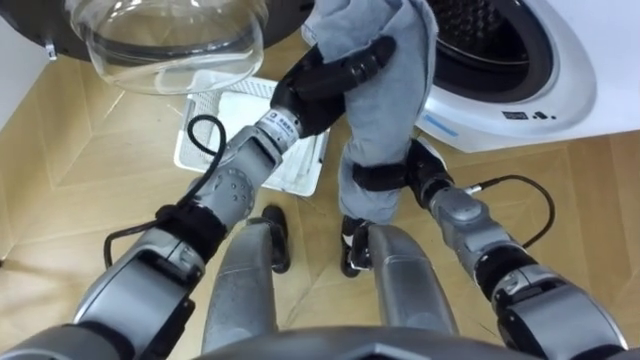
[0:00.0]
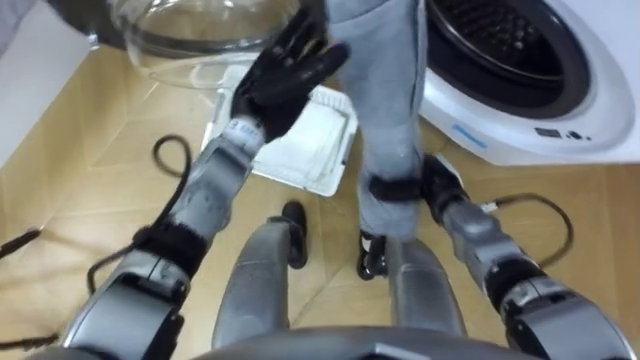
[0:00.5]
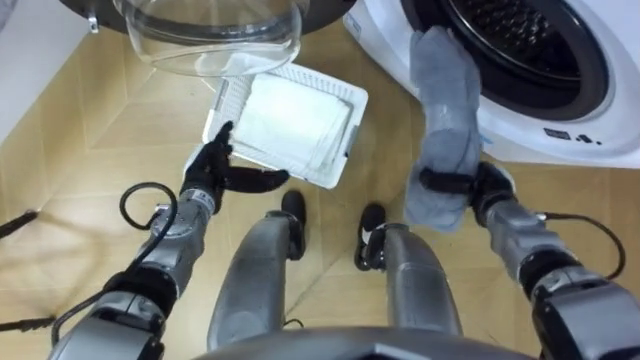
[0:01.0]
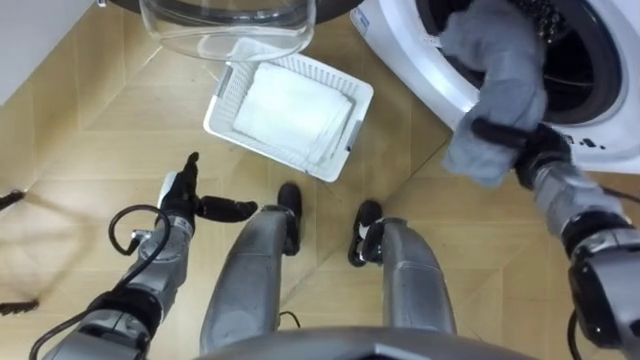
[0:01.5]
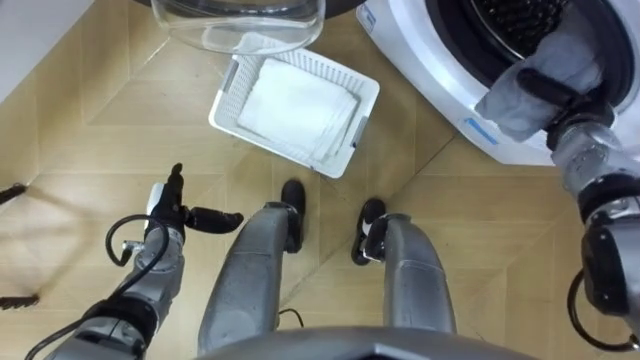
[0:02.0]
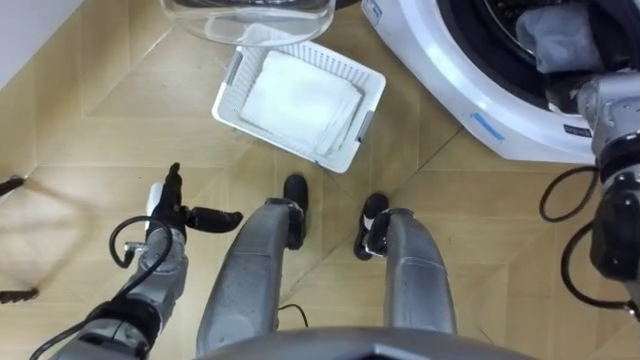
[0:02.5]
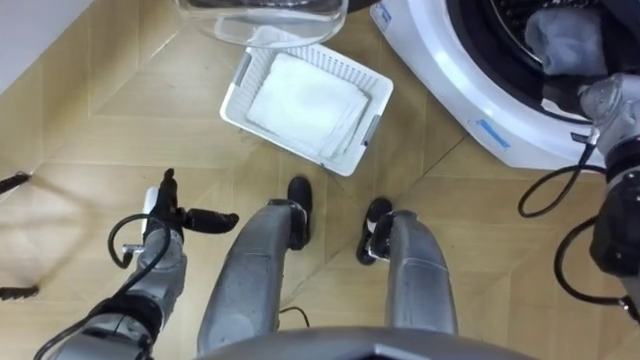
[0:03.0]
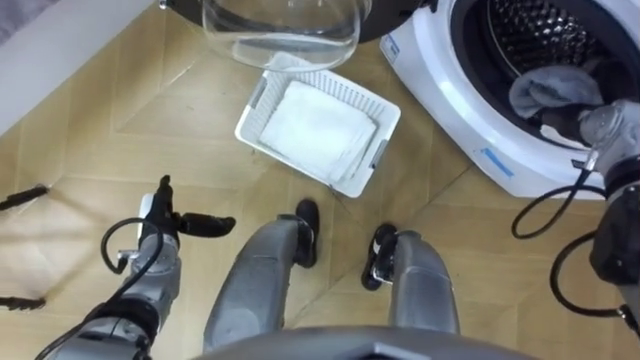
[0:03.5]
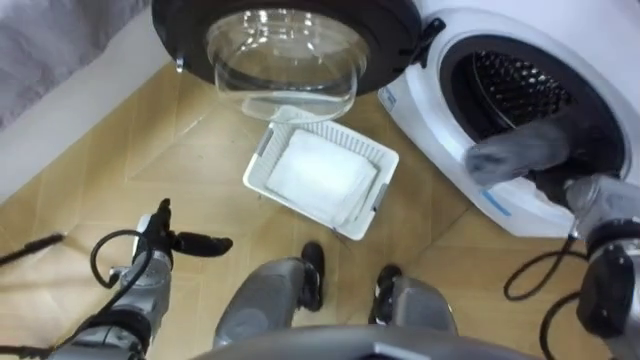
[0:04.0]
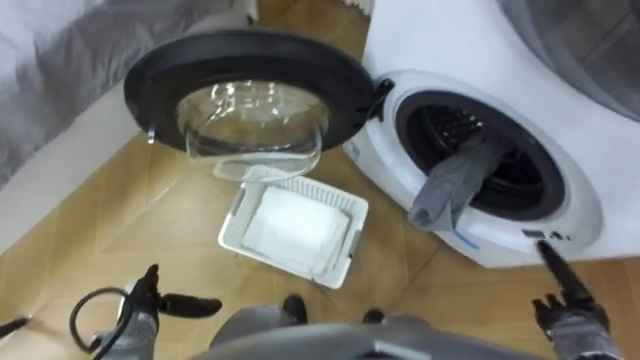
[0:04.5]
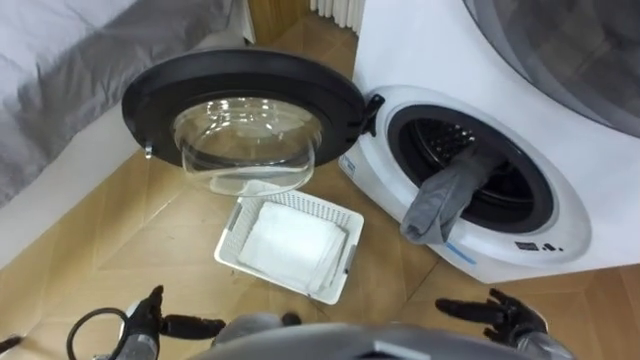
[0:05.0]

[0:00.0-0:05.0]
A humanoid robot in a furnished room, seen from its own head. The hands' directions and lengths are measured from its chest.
Task of the whole recording: Take the towel from the basket and put it into the washing machine.
0:00.0 to 0:02.5: The left hand heads to the left, downward and backward, covering some 30 cm, and opens its fingers, while the right hand heads to the right, upward and forward, covering about 25 cm.
0:02.5 to 0:05.0: The left hand heads backward, covering some 15 cm; the right hand shifts approximately 35 cm backward and downward, and opens.

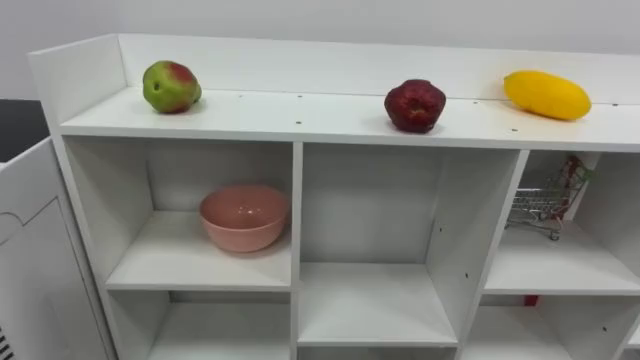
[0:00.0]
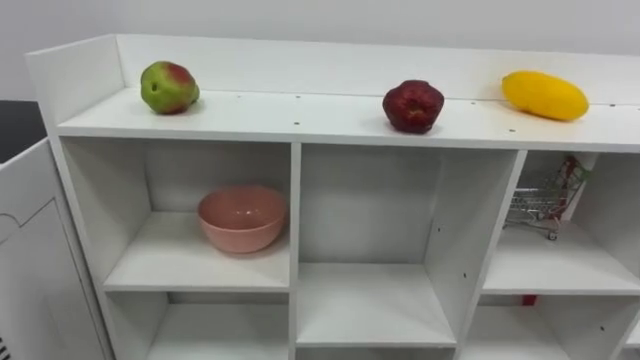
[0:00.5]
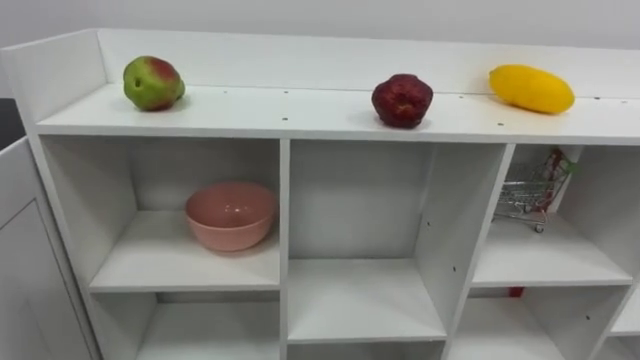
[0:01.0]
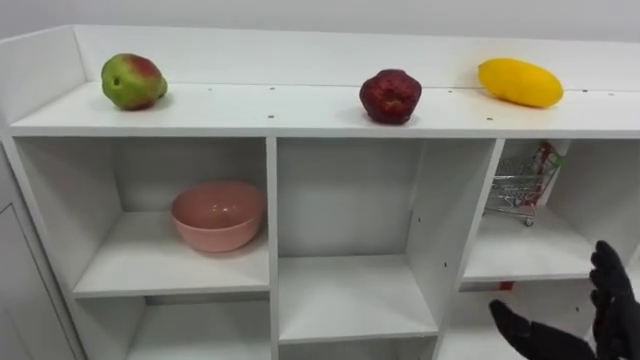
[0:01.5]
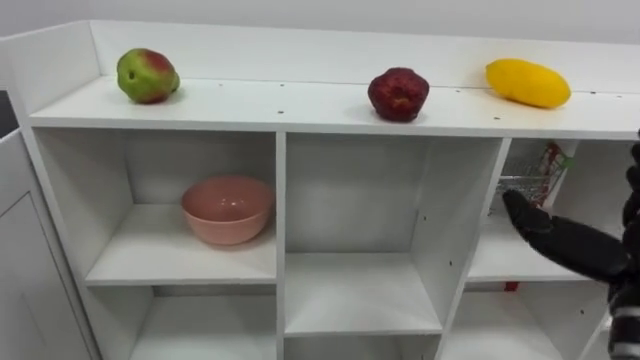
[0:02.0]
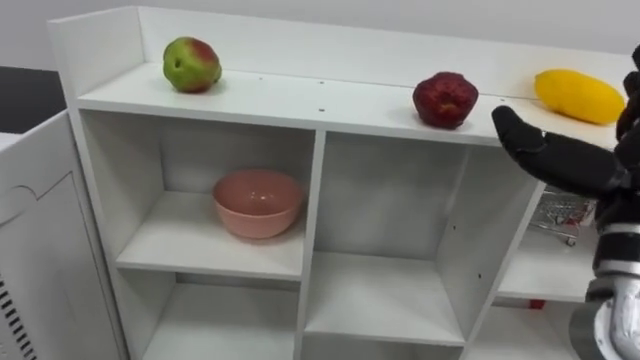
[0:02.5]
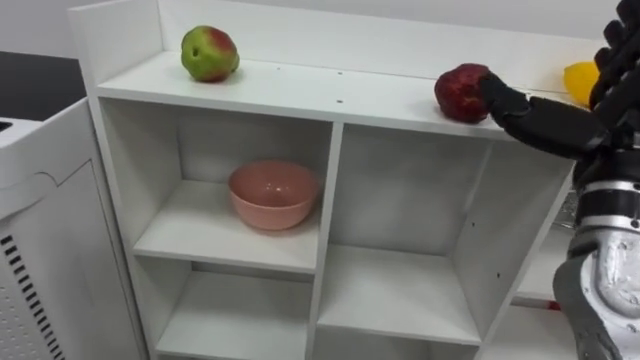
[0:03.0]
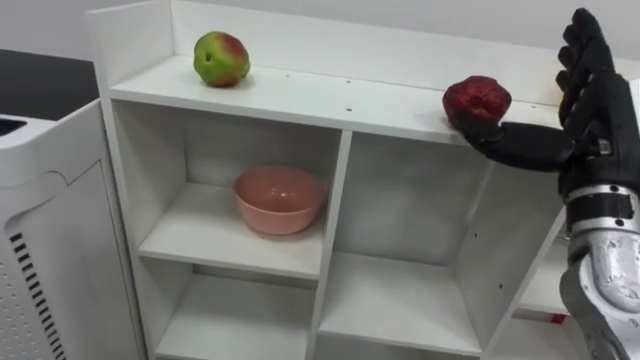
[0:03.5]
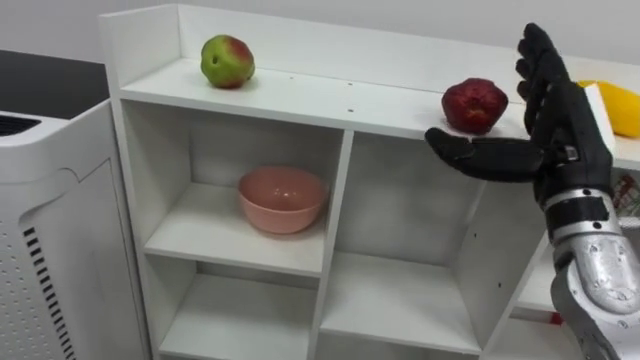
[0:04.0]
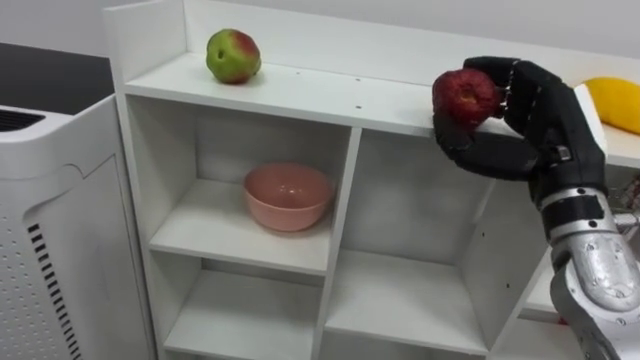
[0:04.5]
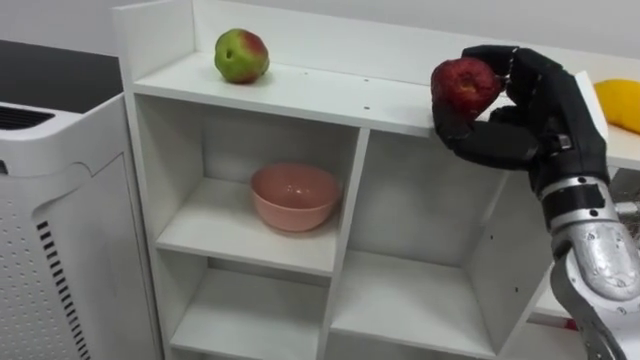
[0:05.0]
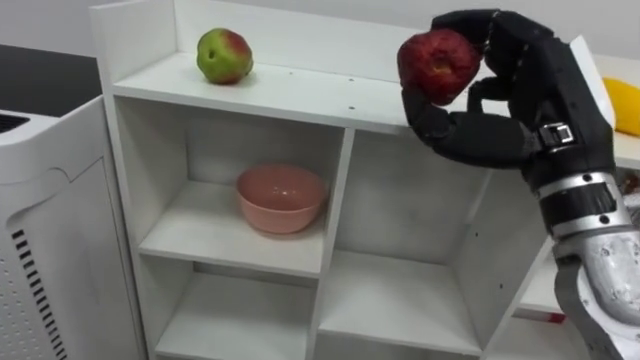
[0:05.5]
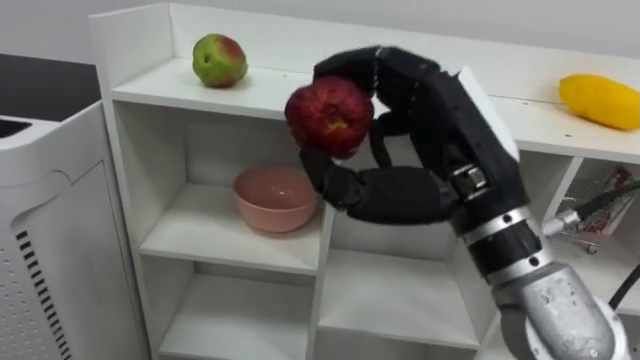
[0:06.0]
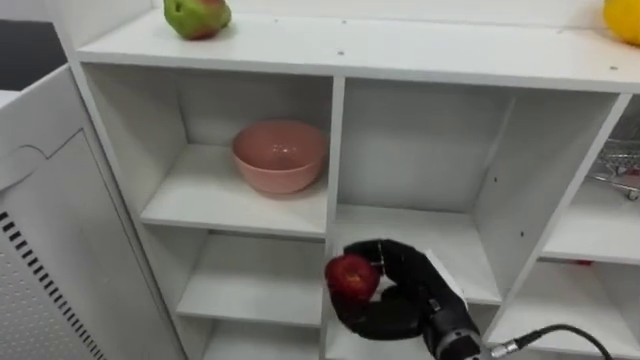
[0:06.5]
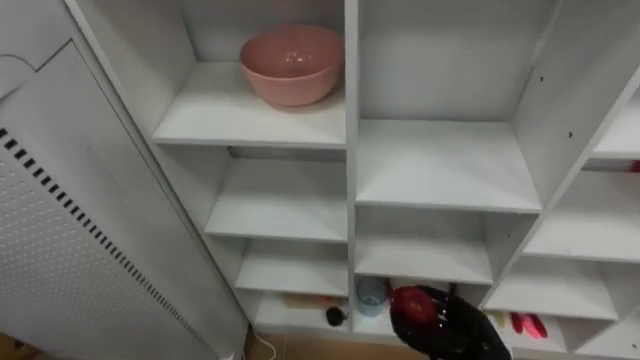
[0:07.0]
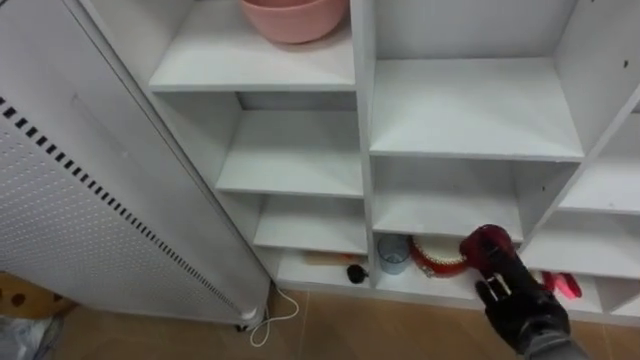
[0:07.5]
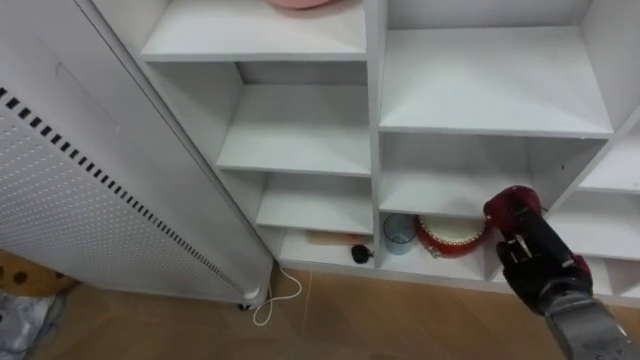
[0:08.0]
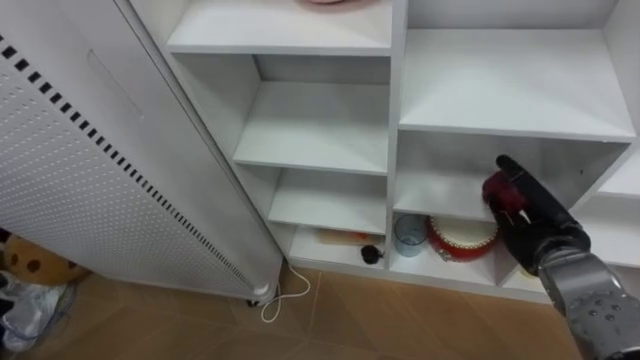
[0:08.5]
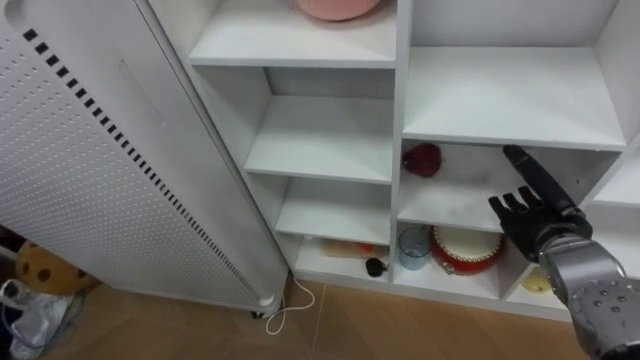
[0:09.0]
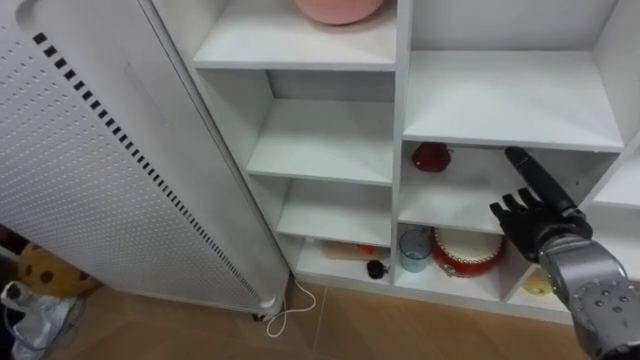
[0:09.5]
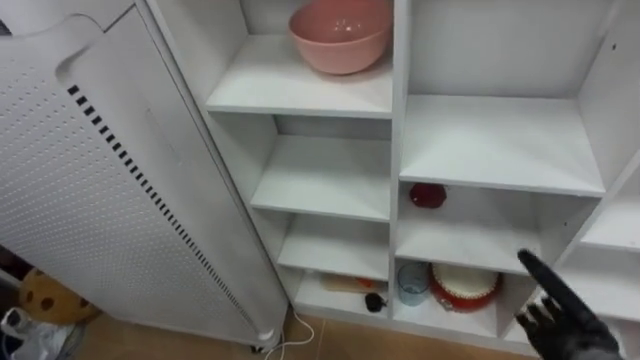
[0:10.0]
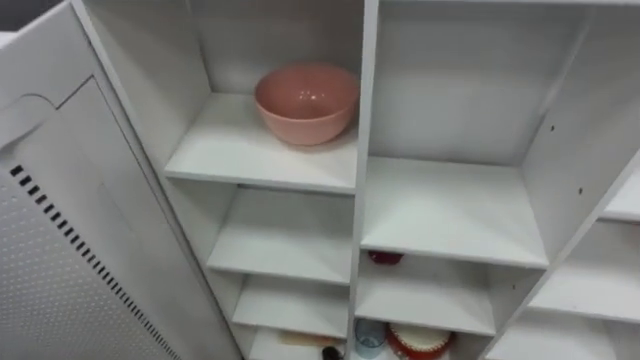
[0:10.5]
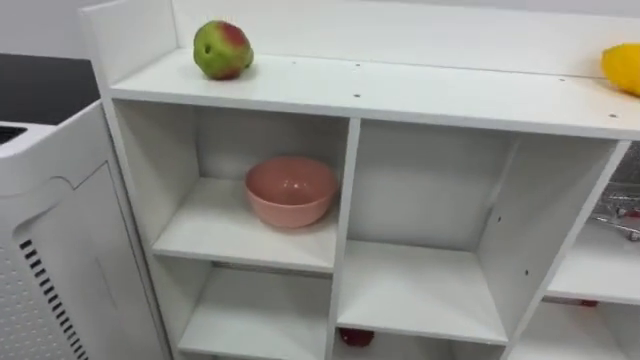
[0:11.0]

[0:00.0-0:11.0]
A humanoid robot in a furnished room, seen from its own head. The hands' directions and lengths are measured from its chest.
Task of the whole recording: Put the apple in the cell in the second column from the left and the second row from the top.
0:03.5 to 0:05.5: The right hand shifts approximately 5 cm to the left, and closes up.
0:07.5 to 0:09.0: The right hand shifts about 10 cm upward, and opens.

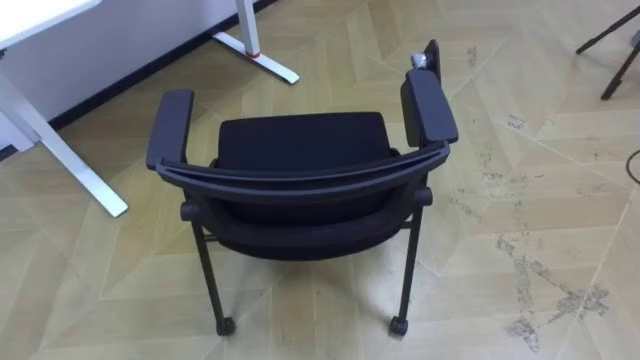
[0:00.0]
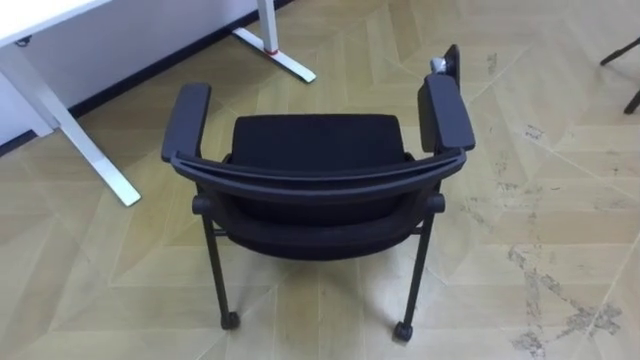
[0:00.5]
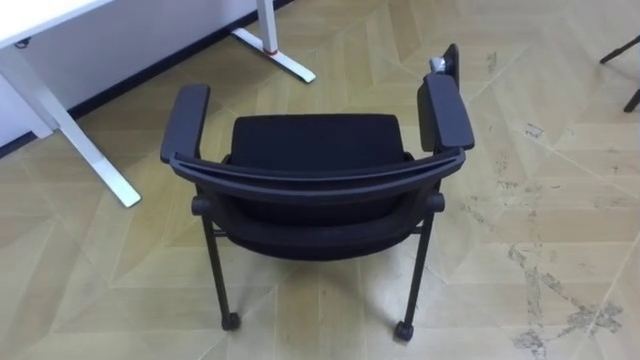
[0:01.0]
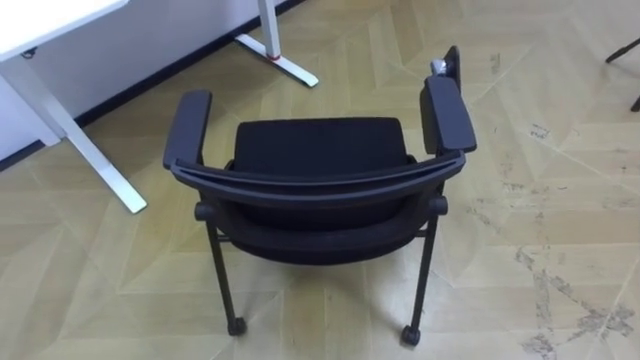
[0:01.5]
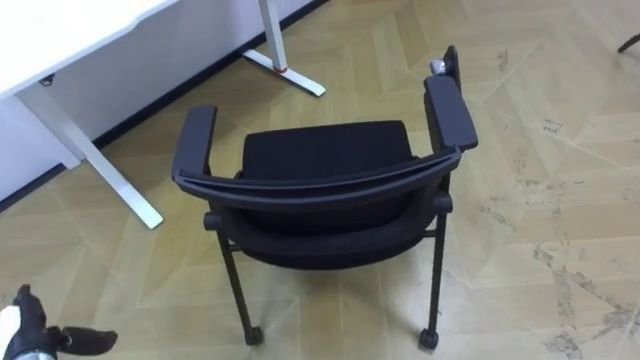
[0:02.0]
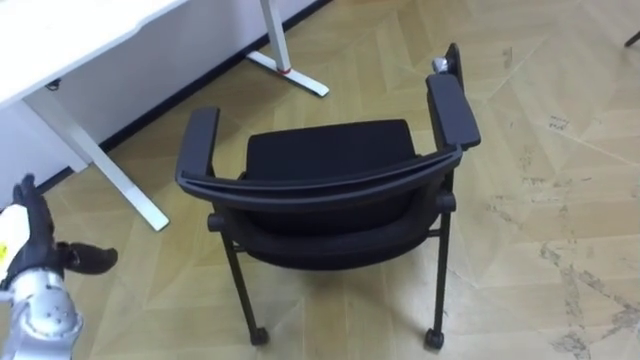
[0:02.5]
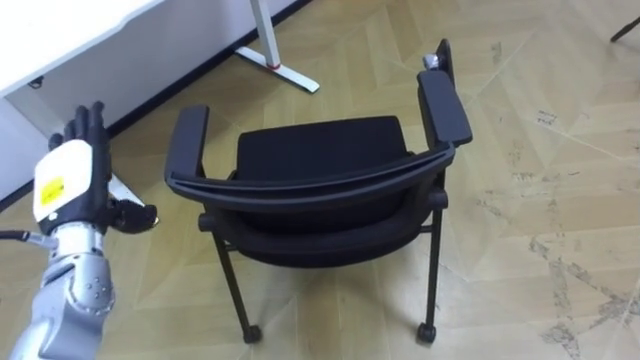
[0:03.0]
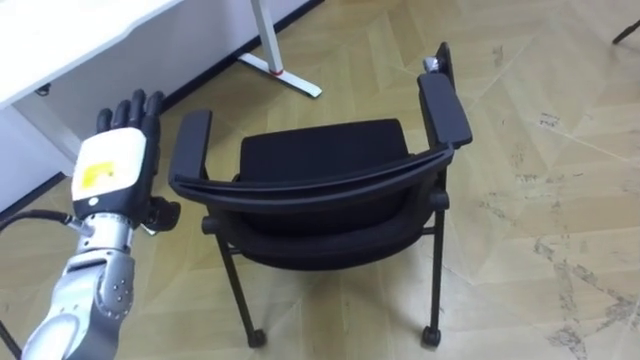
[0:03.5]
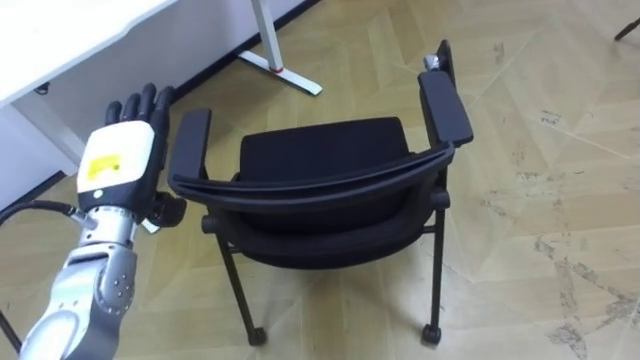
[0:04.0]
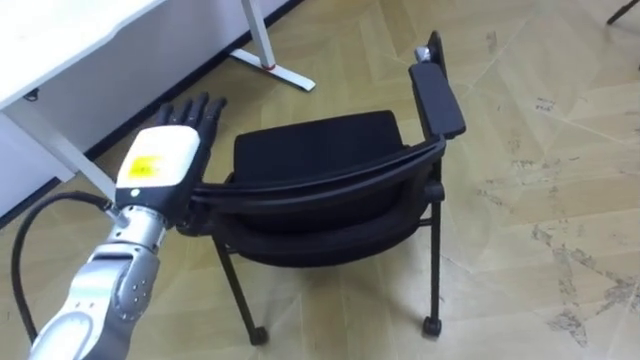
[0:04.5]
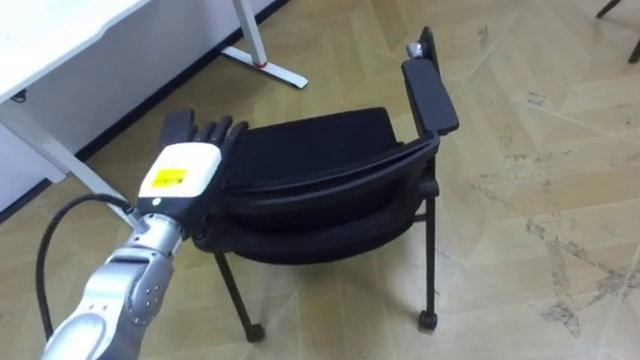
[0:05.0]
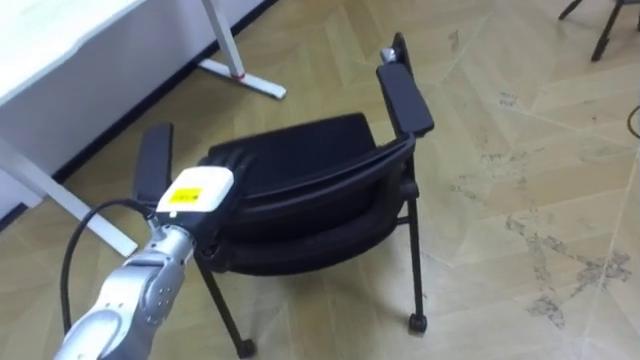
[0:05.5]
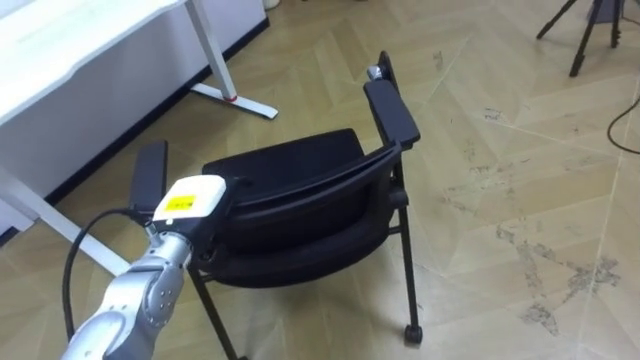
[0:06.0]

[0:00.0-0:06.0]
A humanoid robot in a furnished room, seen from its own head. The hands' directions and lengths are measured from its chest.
Task of the whole recording: Push the chair under the table.
0:02.0 to 0:04.0: The left hand shifts roughly 25 cm upward, forward and to the right.
0:04.0 to 0:06.0: The left hand heads downward and to the right, covering about 10 cm.
